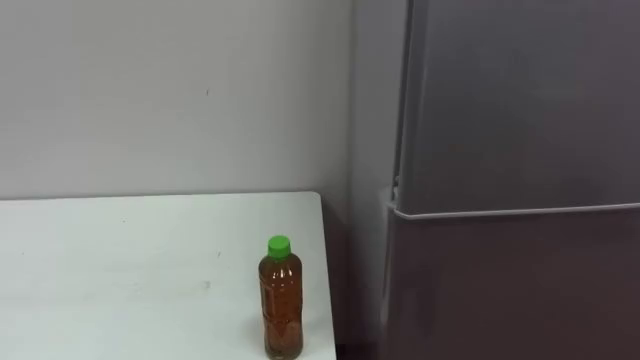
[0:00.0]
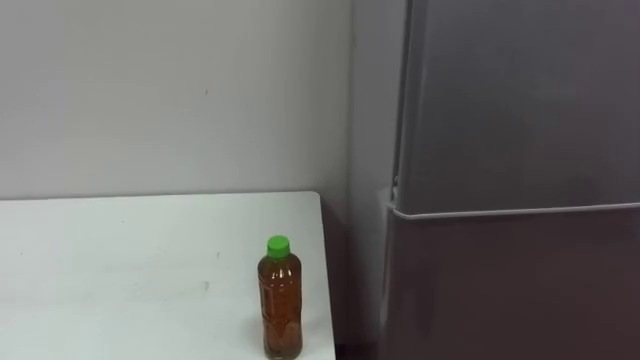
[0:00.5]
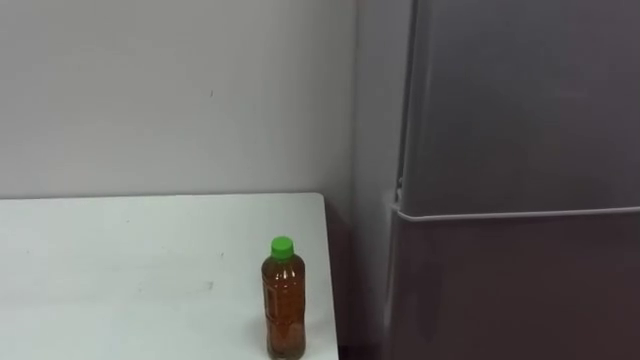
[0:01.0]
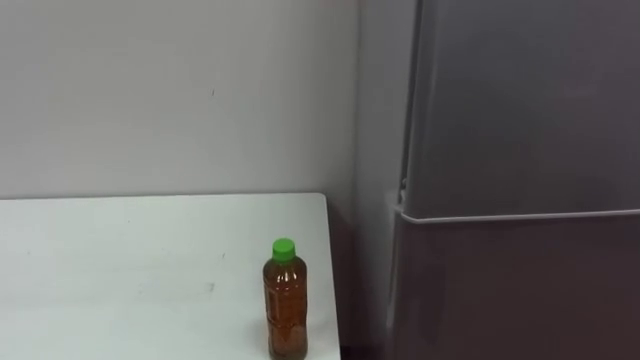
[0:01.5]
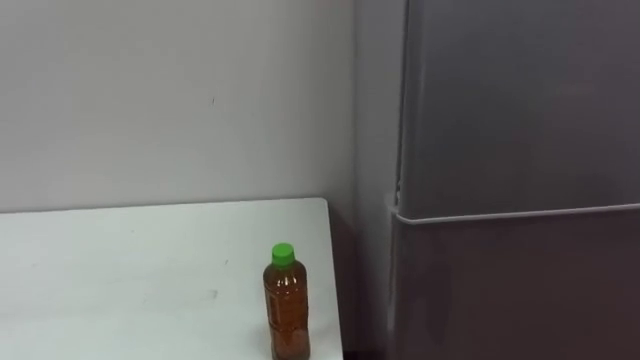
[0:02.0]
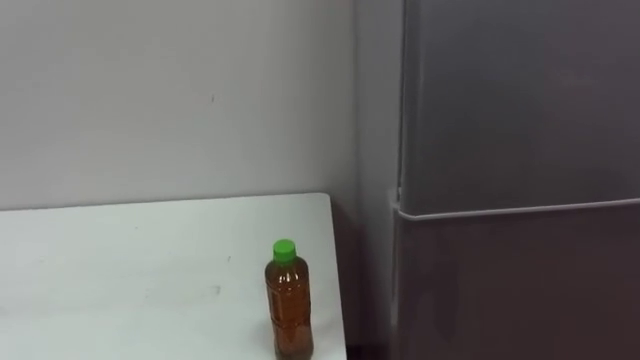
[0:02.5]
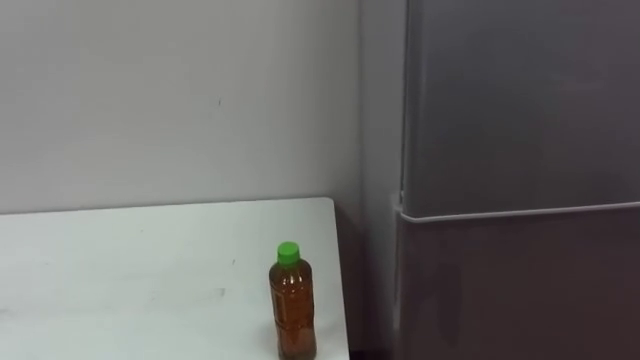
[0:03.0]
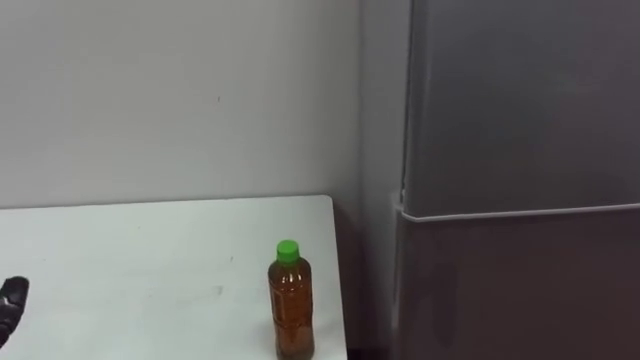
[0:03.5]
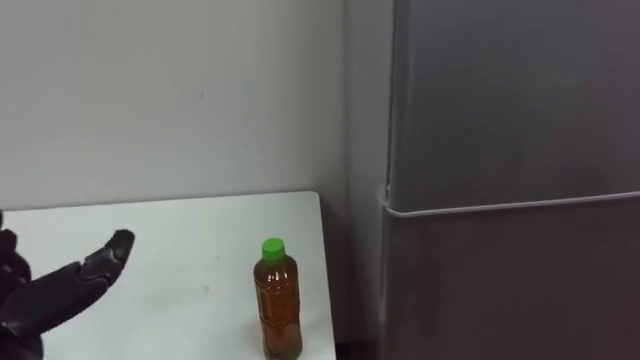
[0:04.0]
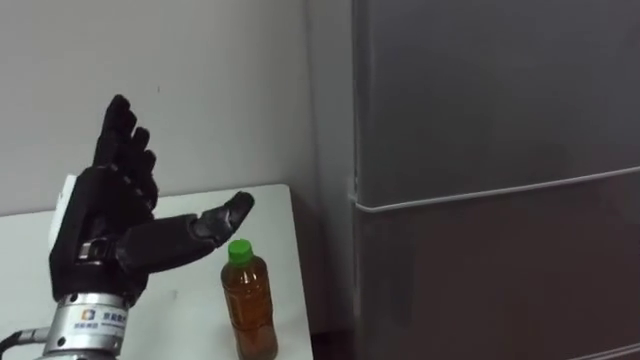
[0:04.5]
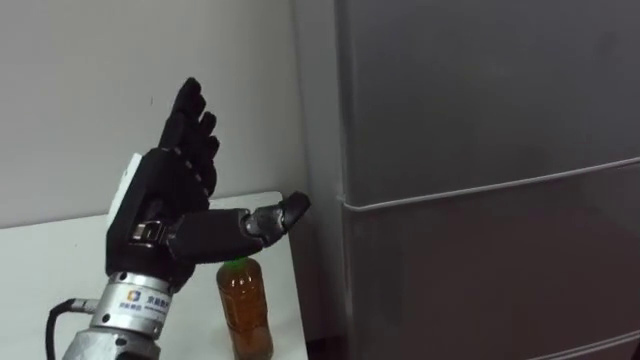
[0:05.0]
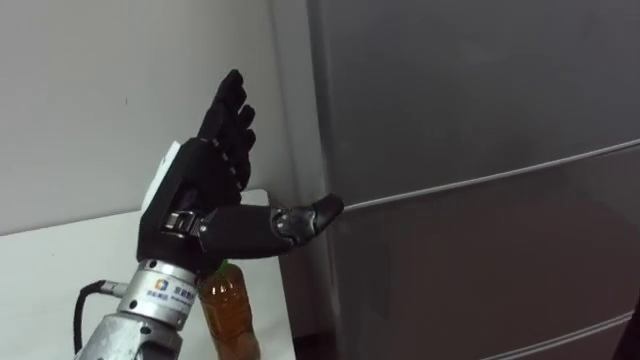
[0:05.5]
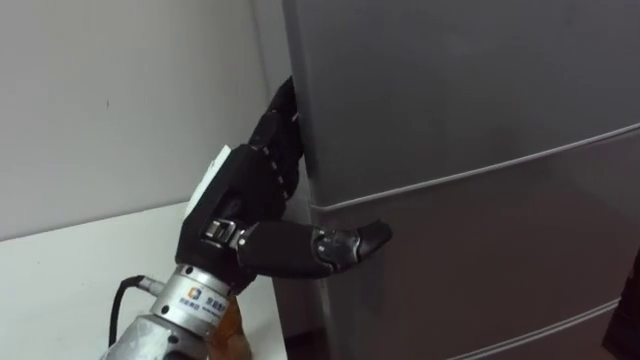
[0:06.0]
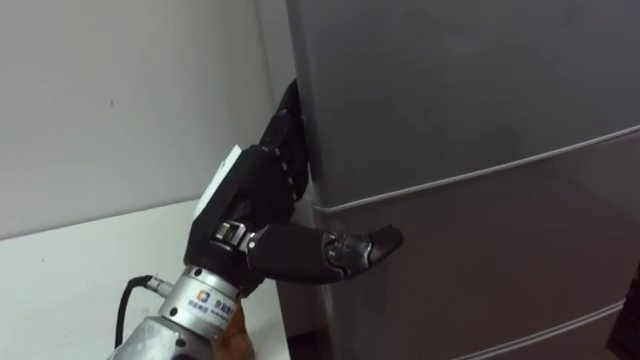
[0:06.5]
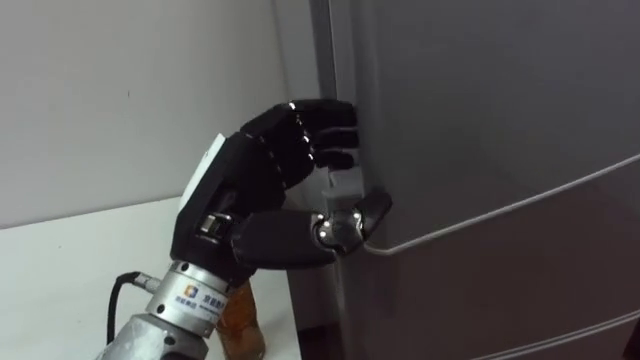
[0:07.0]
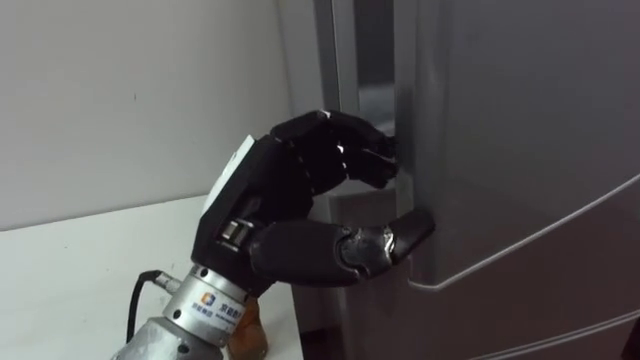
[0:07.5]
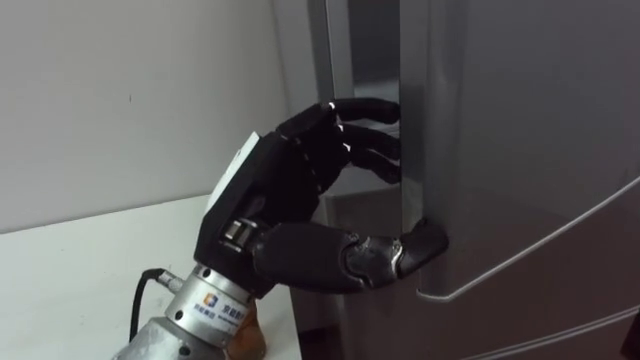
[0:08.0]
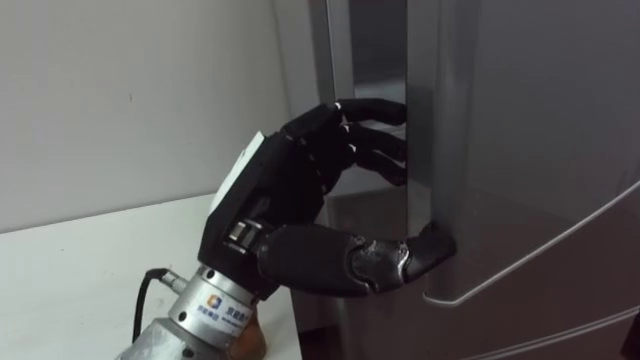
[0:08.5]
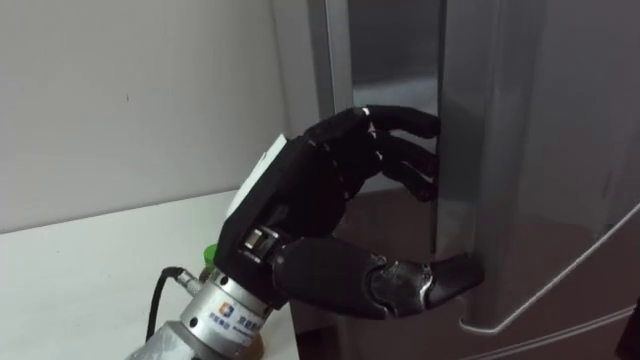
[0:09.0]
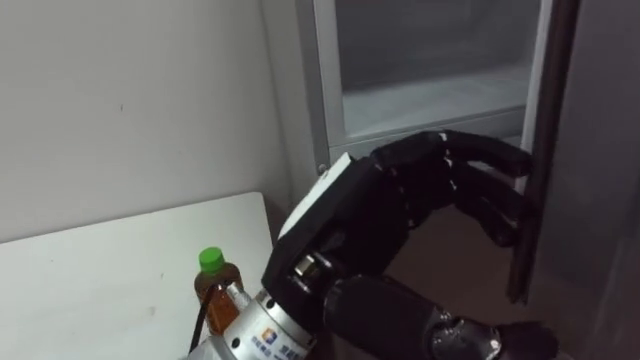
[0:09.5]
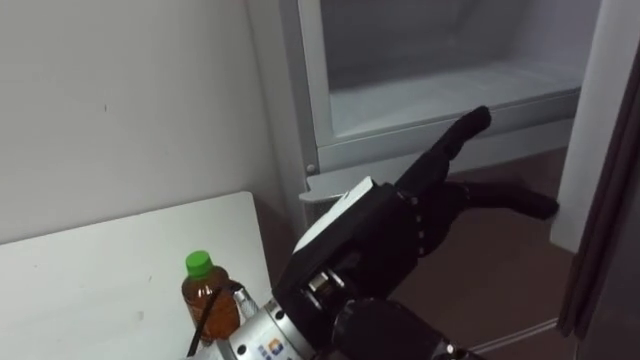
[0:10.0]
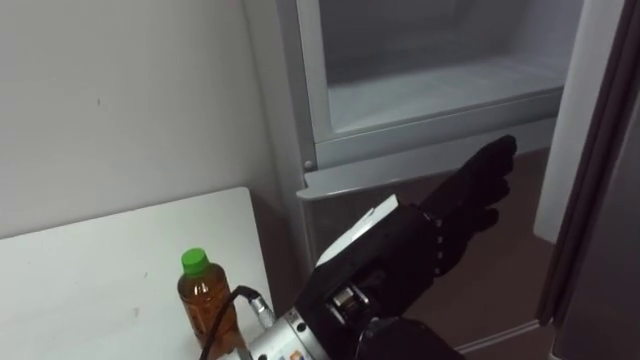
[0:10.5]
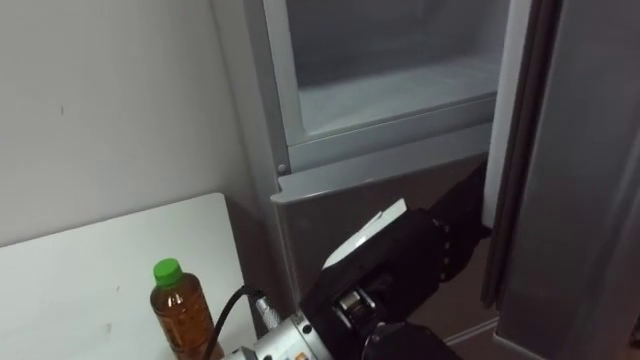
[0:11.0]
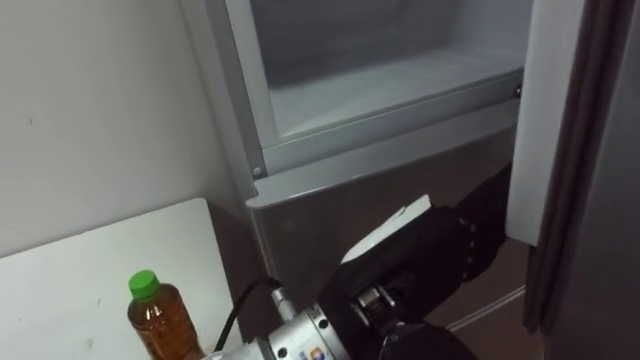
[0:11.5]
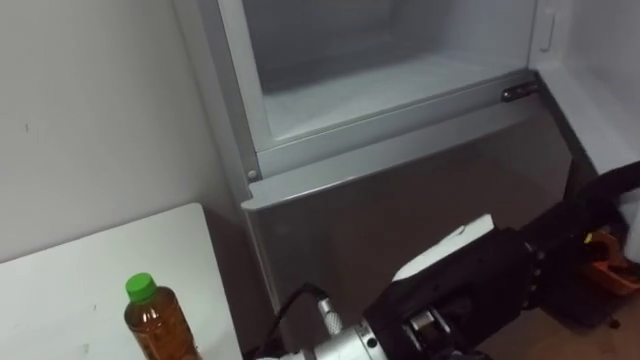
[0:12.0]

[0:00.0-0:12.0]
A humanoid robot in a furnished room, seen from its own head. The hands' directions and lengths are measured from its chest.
Task of the whole recording: Open the upper refrigerator door, put the drink from the table into the refrigerator, and then close the refrigerator door.
0:06.0 to 0:08.0: The left hand closes, then reopens.
0:08.0 to 0:10.0: The left hand heads to the right, covering approximately 5 cm.
0:10.0 to 0:12.0: The left hand is displaced to the right by approximately 5 cm.

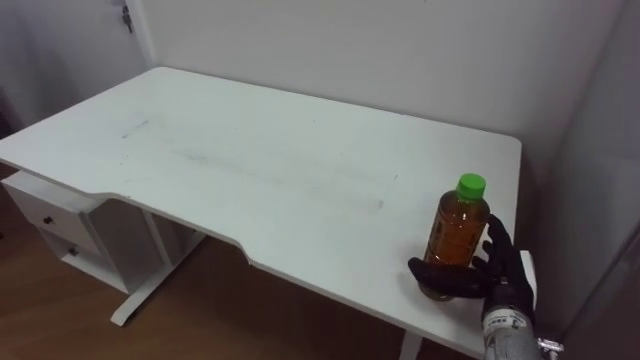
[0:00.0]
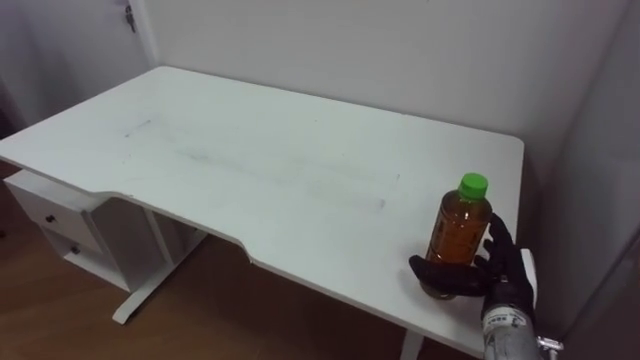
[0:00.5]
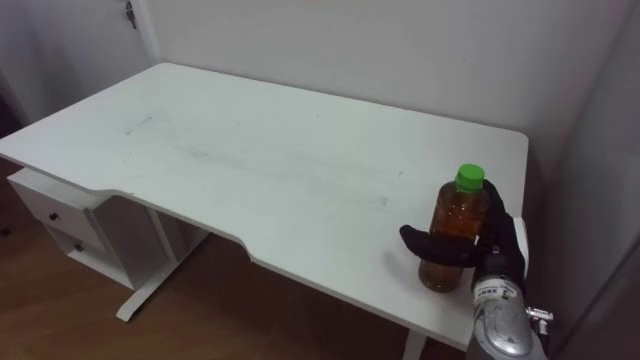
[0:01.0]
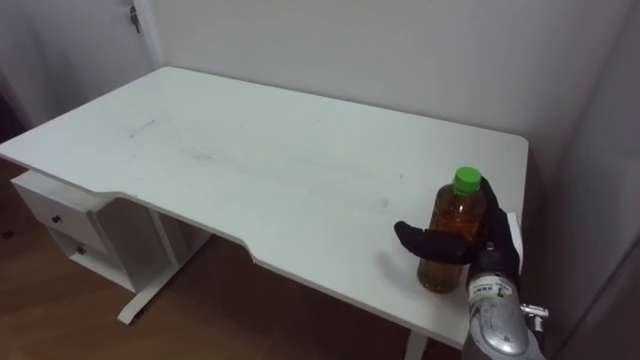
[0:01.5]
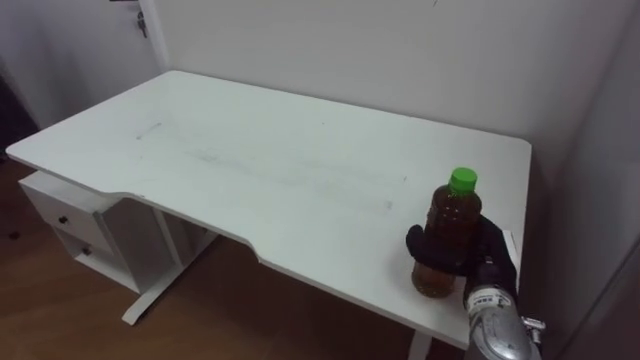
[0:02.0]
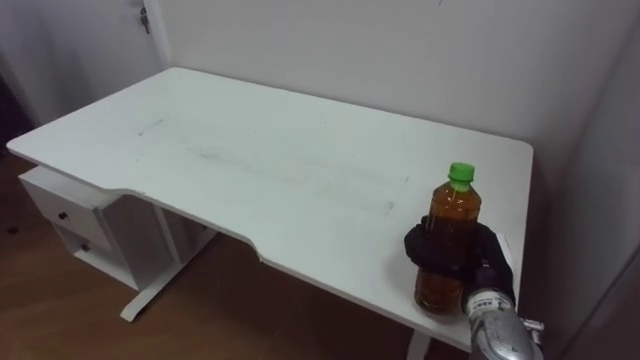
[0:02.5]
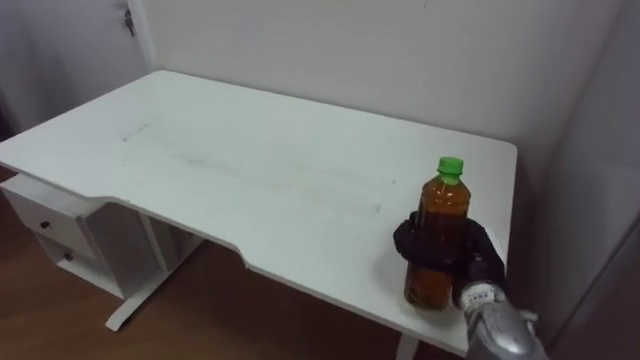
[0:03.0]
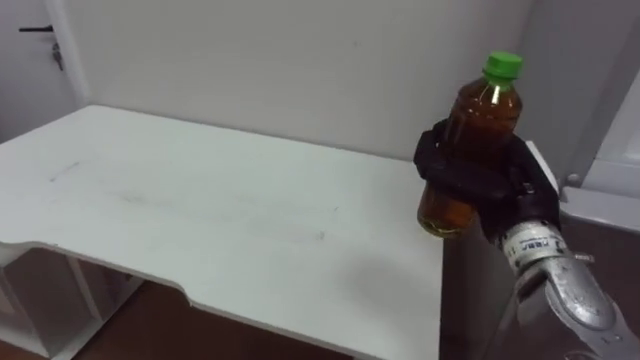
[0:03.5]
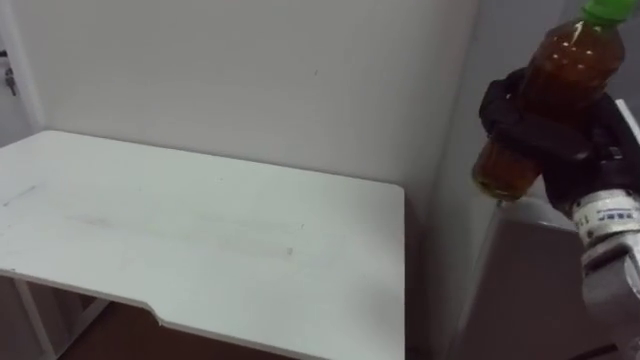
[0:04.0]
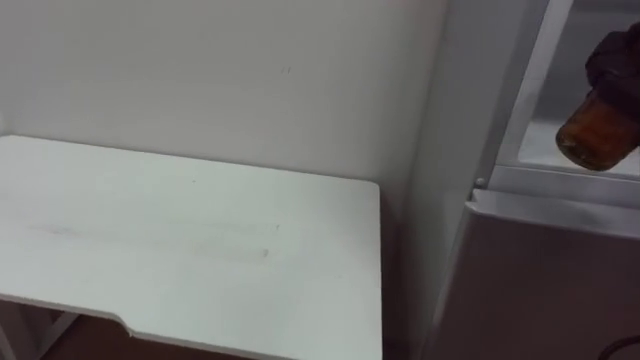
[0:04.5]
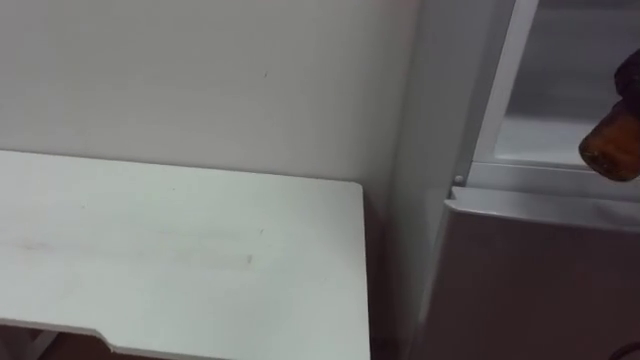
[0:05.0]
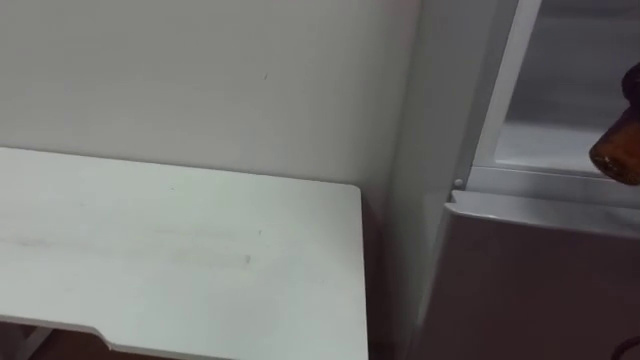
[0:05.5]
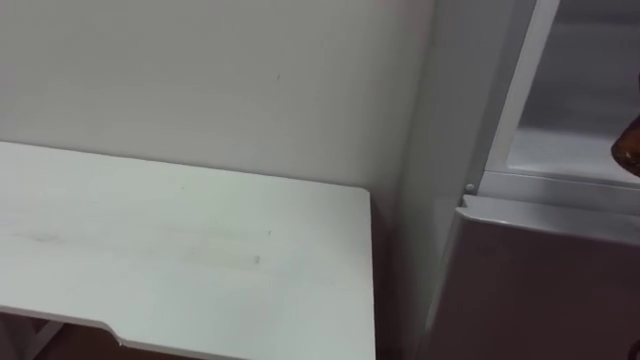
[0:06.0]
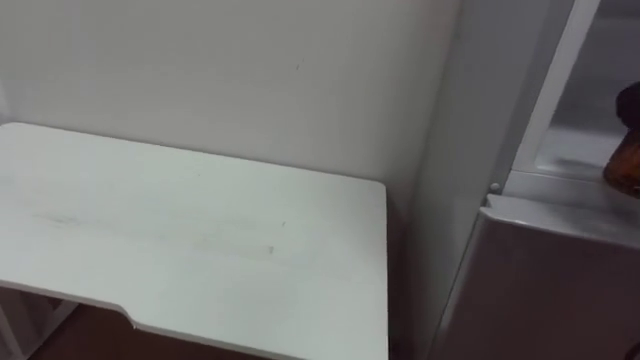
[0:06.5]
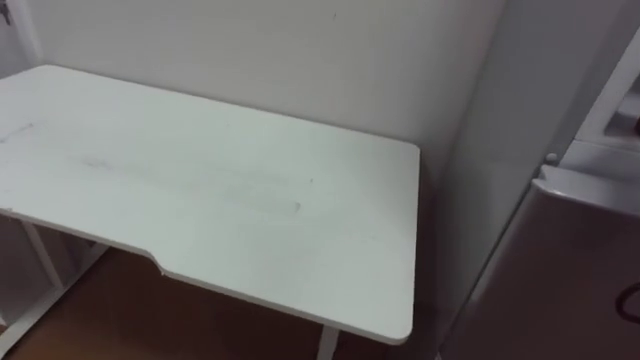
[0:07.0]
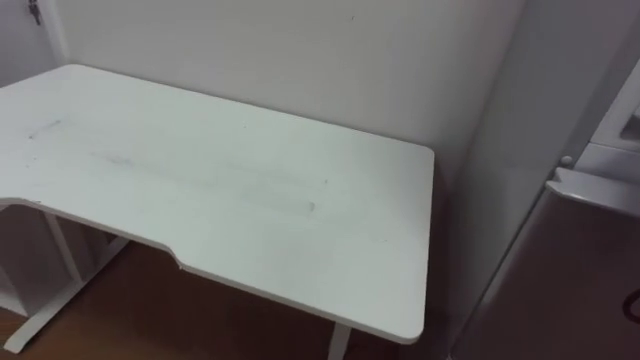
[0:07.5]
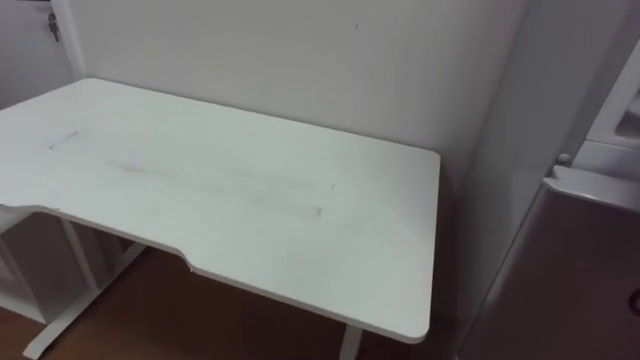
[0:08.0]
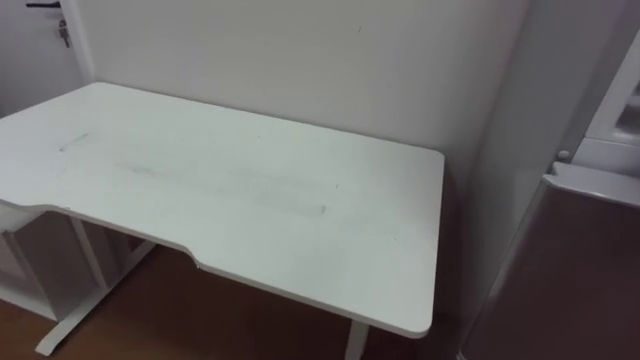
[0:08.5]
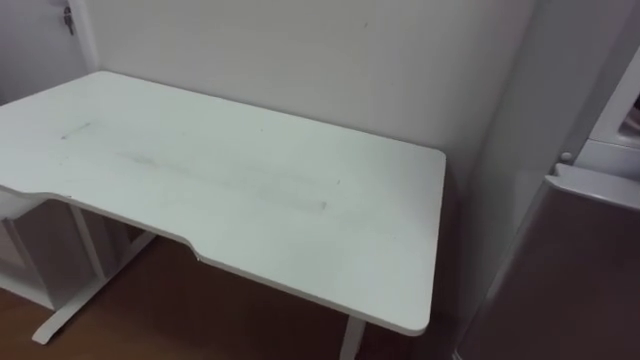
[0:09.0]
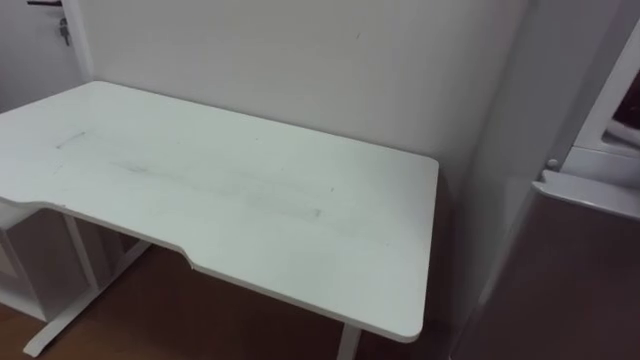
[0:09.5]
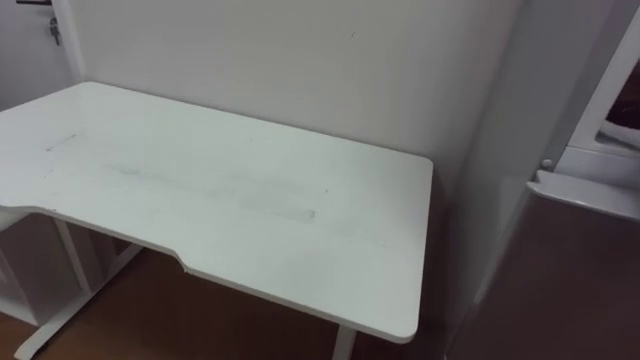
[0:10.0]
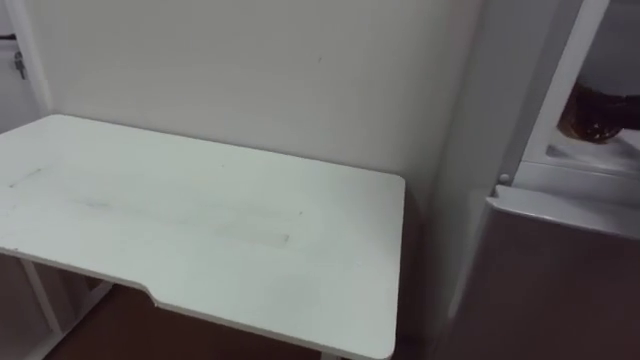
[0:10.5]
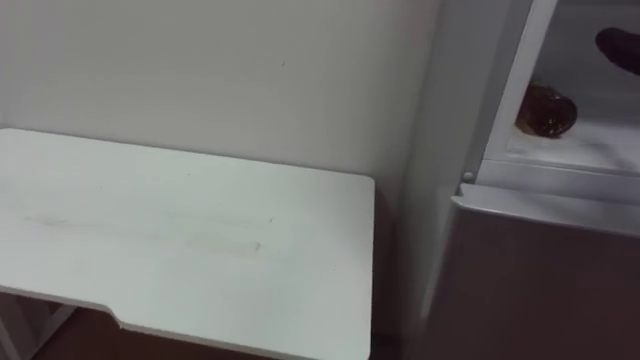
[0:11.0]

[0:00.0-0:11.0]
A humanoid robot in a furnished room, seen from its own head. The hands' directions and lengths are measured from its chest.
Task of the whole recording: Open the upper refrigerator door, put the drink from the table into the refrigerator, and then close the refrigerator door.
0:00.0 to 0:02.0: The right hand closes up.
0:02.0 to 0:03.5: The right hand moves upward, some 10 cm.
